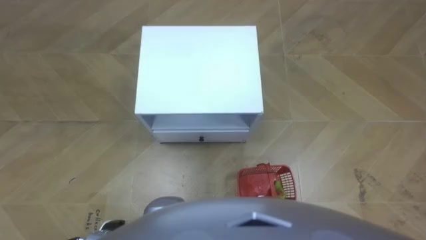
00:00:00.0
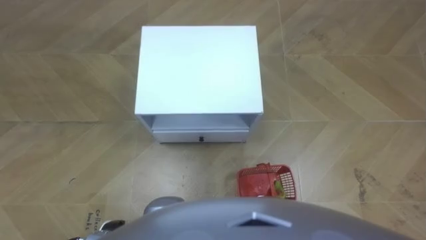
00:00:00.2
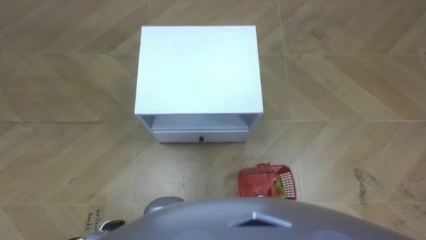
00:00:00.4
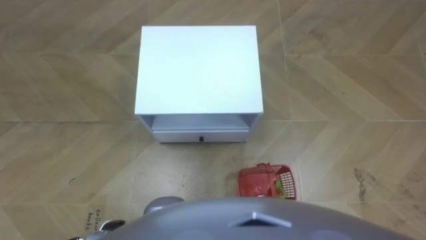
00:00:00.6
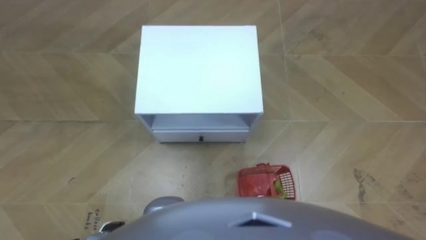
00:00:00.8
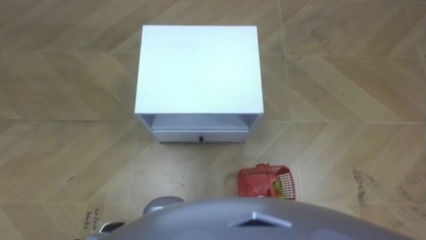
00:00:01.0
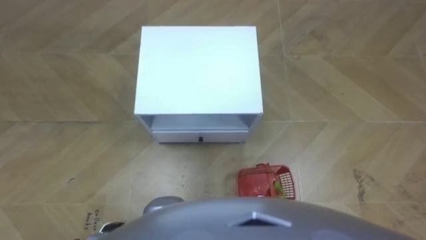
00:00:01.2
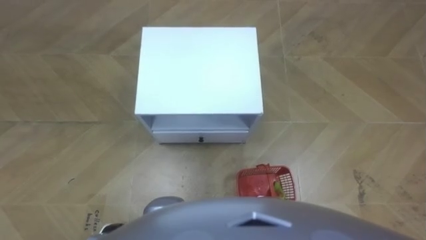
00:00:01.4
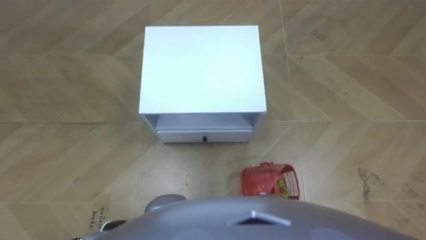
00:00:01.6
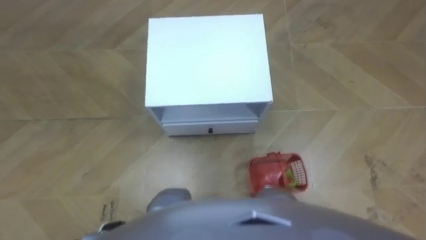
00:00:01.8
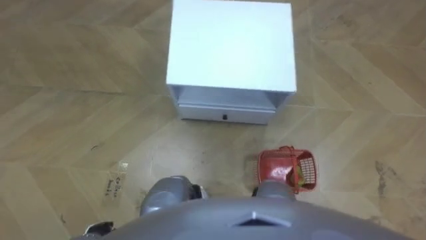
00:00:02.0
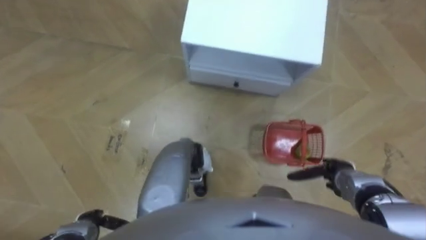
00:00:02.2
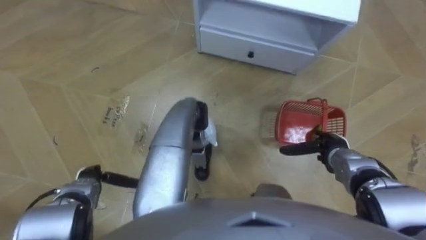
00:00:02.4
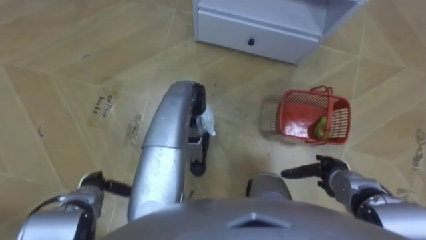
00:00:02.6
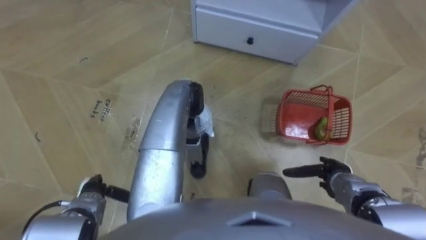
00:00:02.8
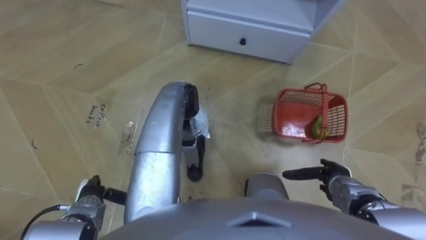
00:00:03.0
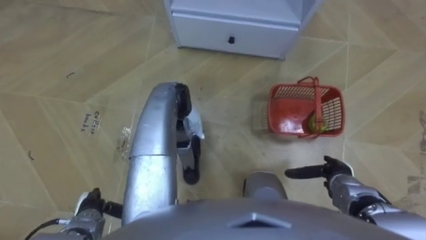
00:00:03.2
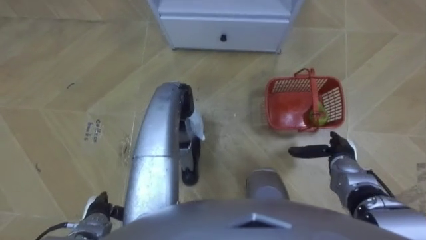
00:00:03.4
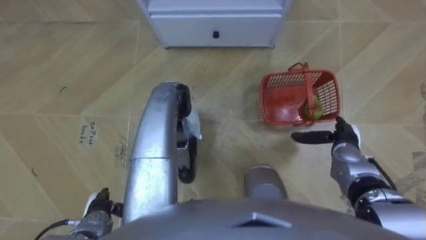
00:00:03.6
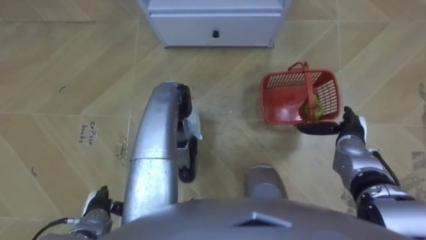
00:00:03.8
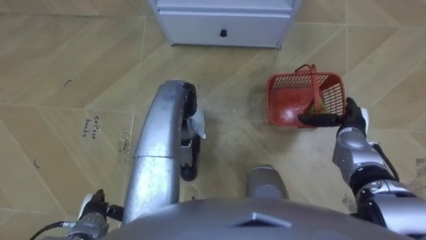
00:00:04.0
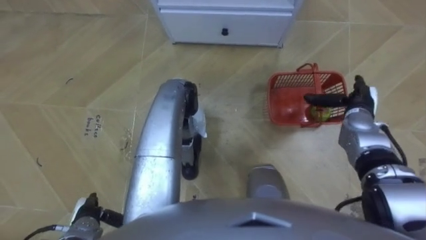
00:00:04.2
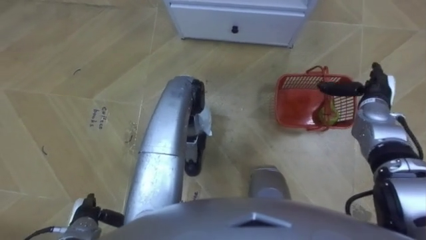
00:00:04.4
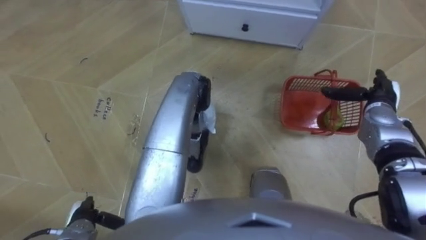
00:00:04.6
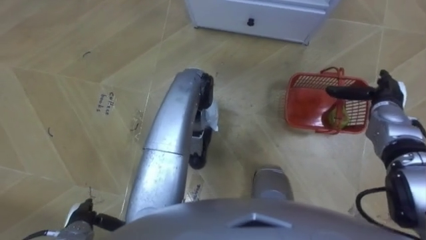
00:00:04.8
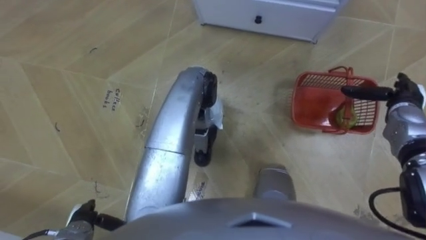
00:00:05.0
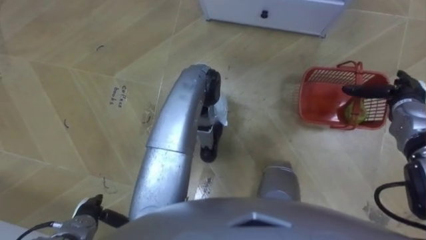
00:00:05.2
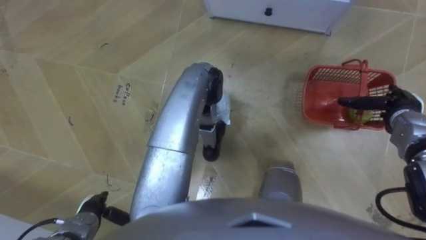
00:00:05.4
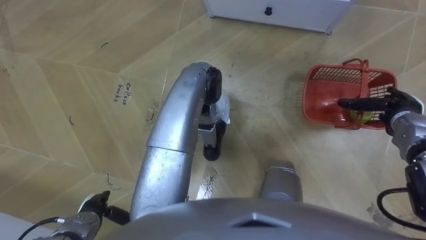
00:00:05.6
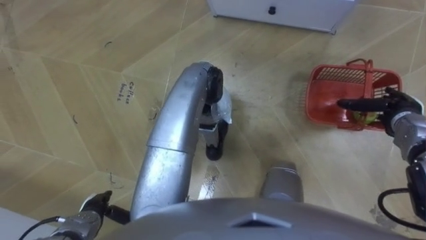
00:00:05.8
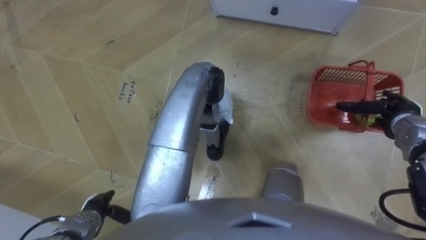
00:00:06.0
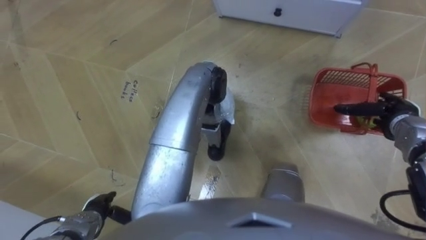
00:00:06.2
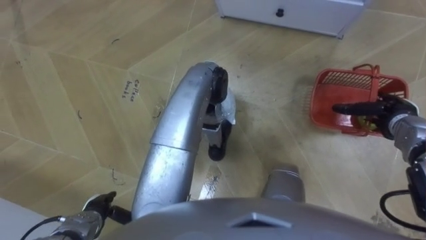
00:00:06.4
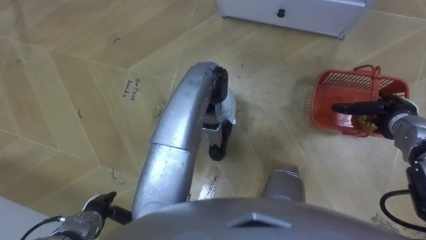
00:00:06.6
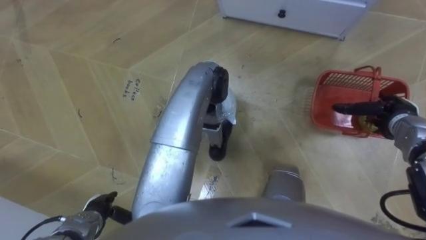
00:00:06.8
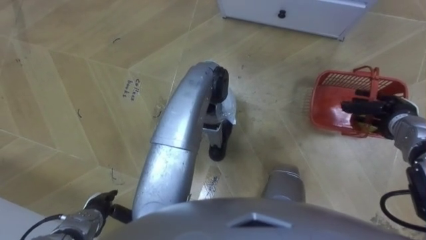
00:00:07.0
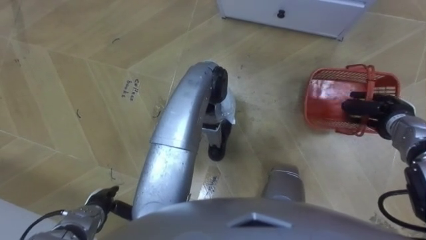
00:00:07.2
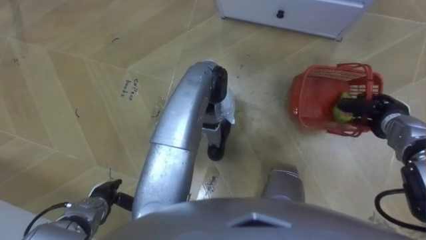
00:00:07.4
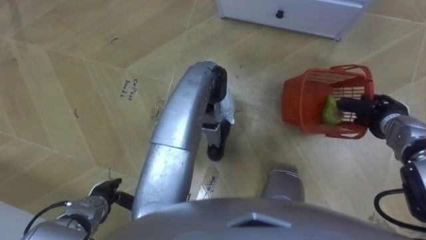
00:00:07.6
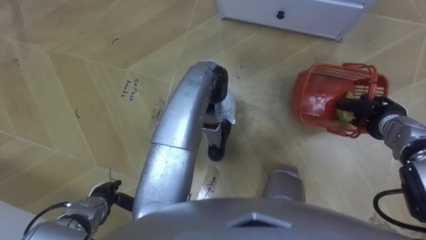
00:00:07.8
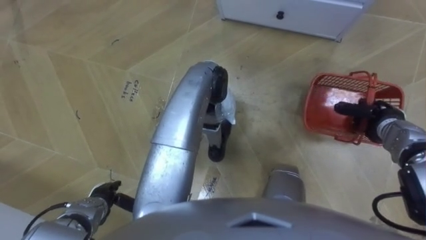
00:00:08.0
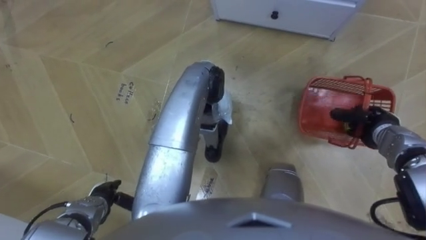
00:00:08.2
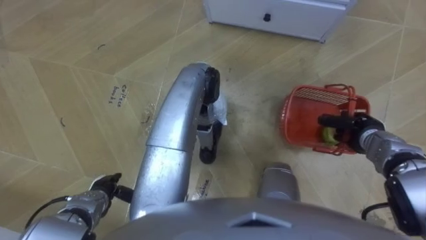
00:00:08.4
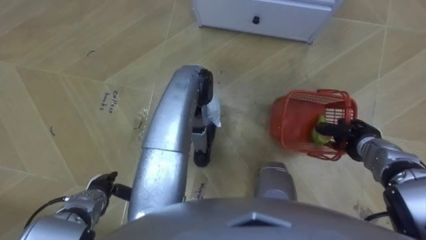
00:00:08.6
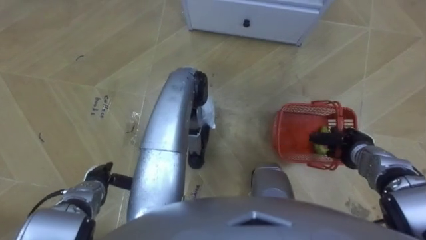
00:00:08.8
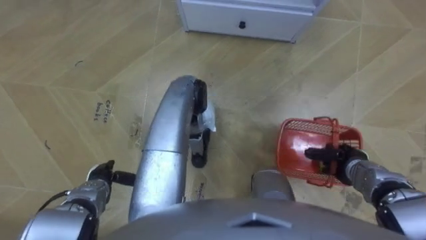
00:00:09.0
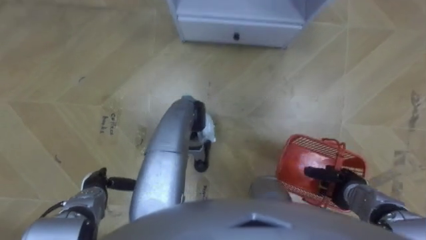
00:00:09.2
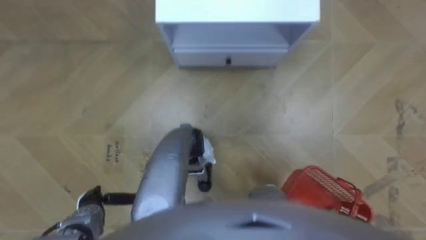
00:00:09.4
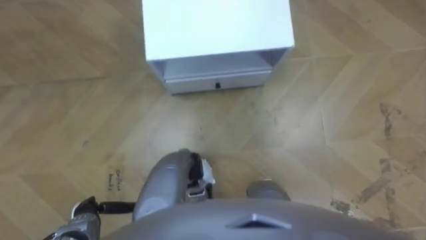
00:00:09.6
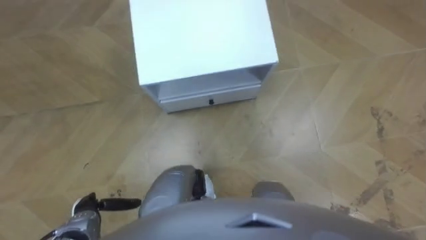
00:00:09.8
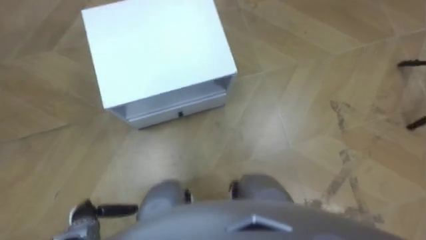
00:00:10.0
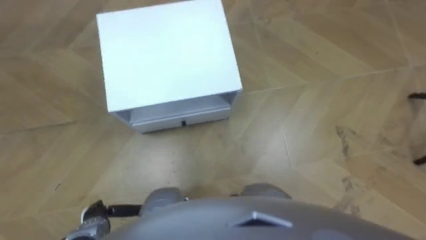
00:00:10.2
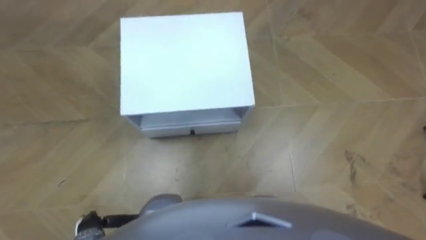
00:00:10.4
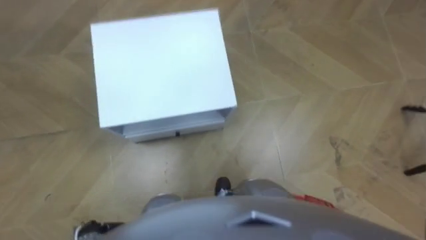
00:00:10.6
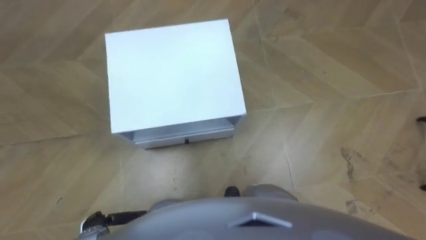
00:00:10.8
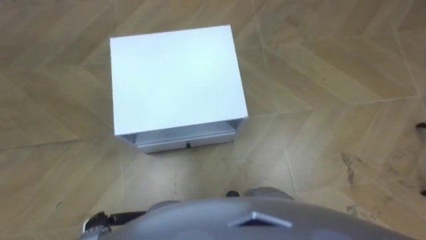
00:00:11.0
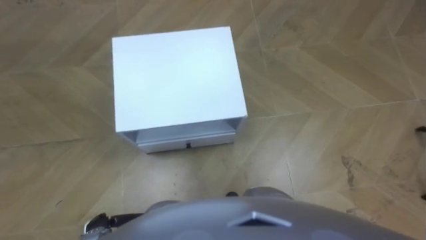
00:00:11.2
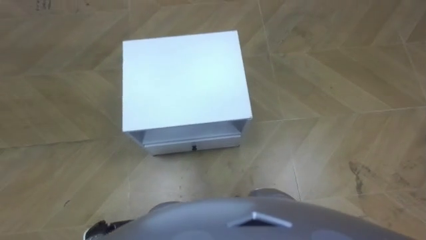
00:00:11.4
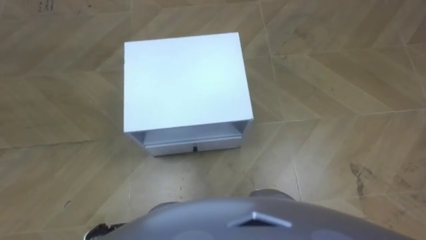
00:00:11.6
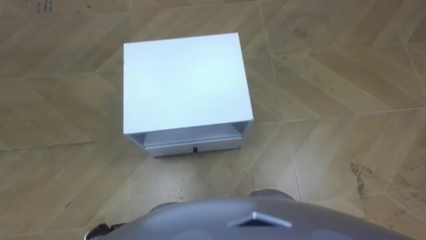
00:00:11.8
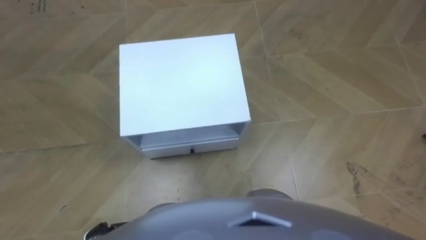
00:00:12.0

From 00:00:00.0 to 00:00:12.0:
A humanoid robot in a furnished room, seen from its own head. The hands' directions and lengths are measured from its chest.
Task of the whole recording: Pick up the fruit basket from the floor and place it on the cabinet.
From 00:00:01.6 to 00:00:03.0: The right hand heads forward, covering about 15 cm. The left hand shifts approximately 10 cm forward and to the left.
From 00:00:03.0 to 00:00:04.4: The right hand moves forward and upward, approximately 20 cm.
From 00:00:04.4 to 00:00:06.0: The right hand shifts approximately 5 cm to the right.
From 00:00:06.0 to 00:00:07.6: The right hand closes.
From 00:00:07.6 to 00:00:09.0: The right hand travels backward, downward and to the left by approximately 15 cm.
From 00:00:09.0 to 00:00:10.4: The left hand moves backward, roughly 10 cm.

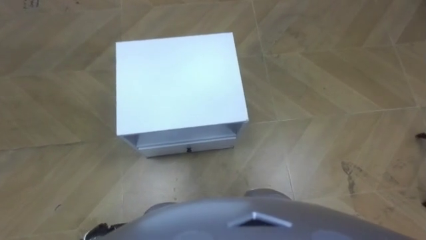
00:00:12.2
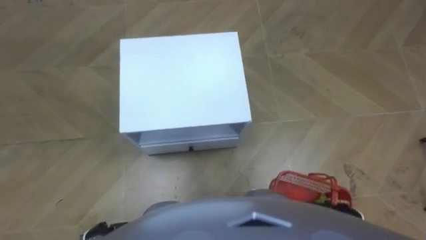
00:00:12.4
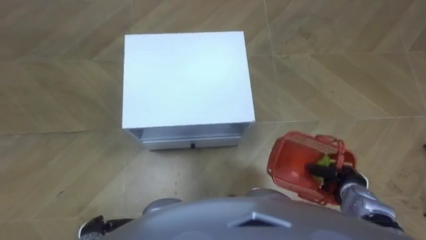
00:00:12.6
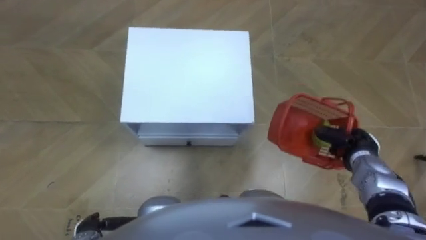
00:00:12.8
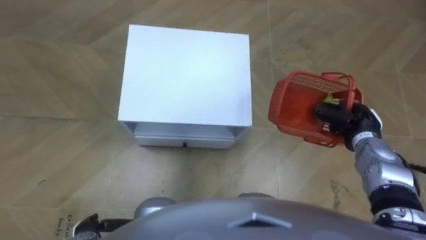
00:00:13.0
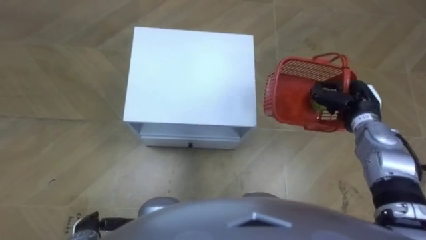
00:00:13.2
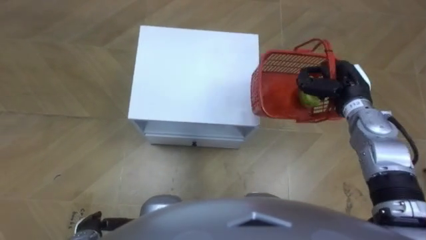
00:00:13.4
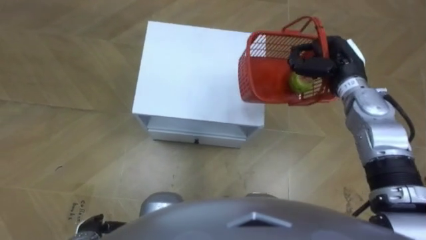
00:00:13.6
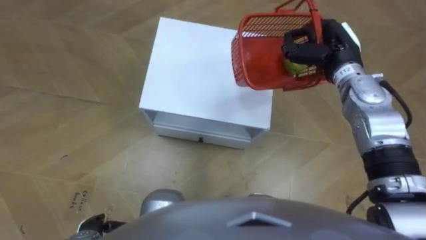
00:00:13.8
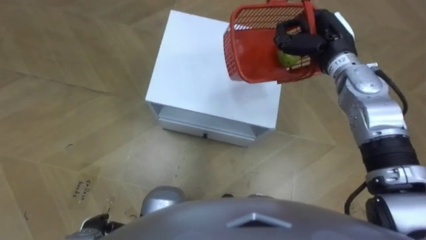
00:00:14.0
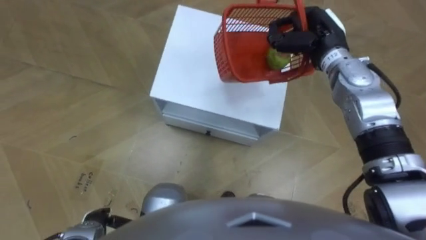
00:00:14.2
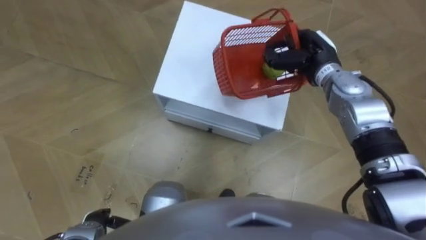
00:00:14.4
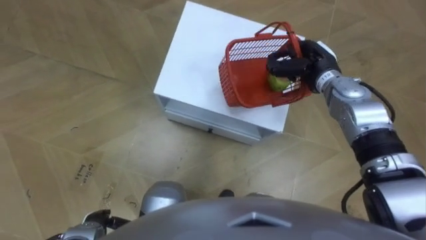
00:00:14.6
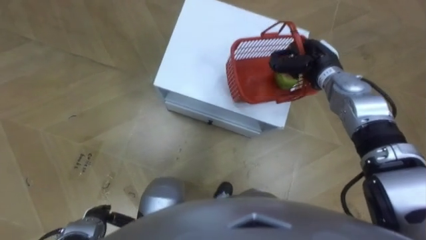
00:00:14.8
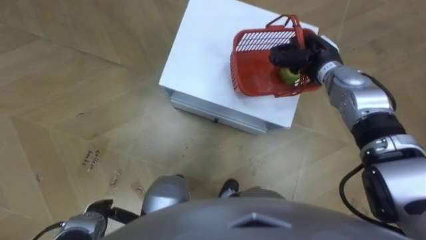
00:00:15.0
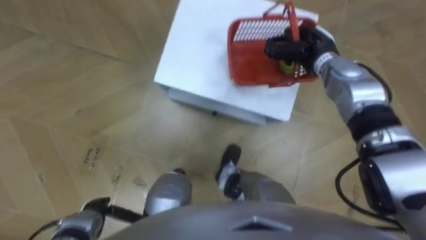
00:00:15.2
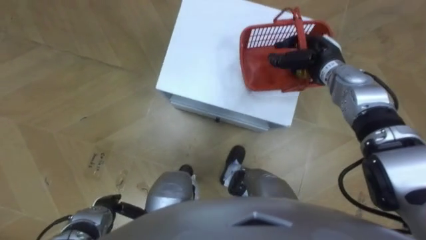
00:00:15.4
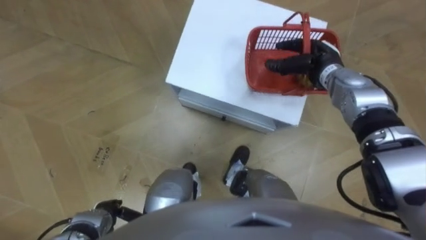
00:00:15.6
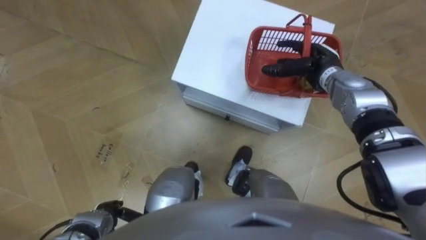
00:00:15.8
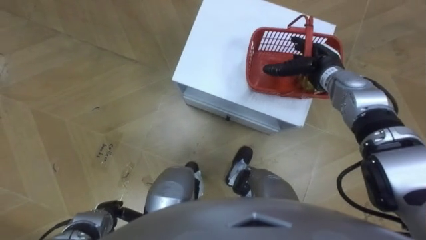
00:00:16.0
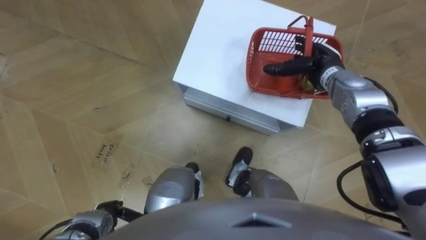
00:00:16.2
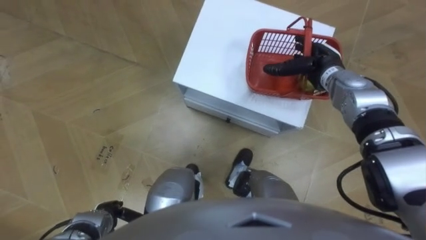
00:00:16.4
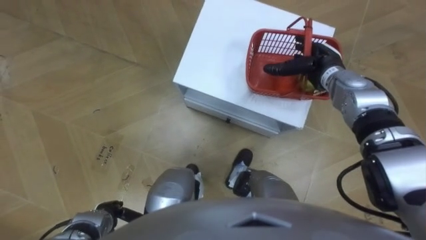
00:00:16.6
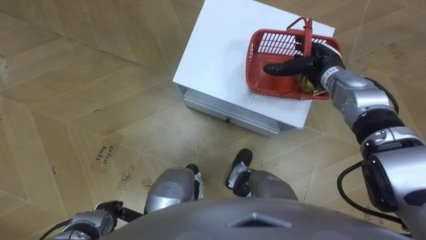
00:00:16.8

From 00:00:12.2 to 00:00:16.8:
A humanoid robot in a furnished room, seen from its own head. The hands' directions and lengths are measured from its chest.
Task of the whole recording: Pick up the fruit basket from the floor and place it on the cabinet.
From 00:00:13.8 to 00:00:15.2: The right hand changes place by about 5 cm.
From 00:00:15.2 to 00:00:16.8: The right hand opens up.
